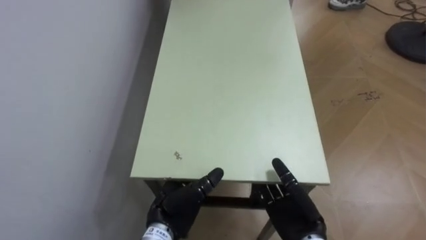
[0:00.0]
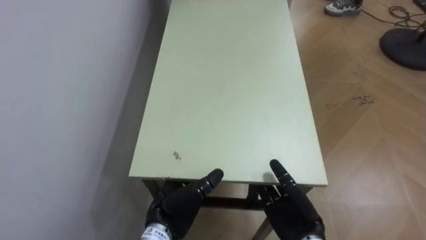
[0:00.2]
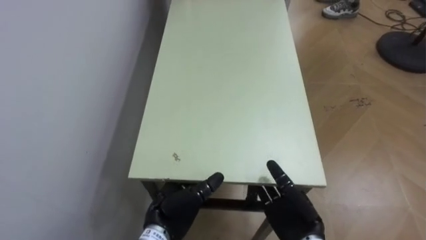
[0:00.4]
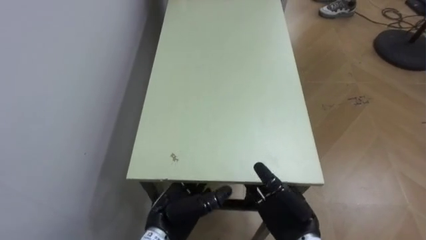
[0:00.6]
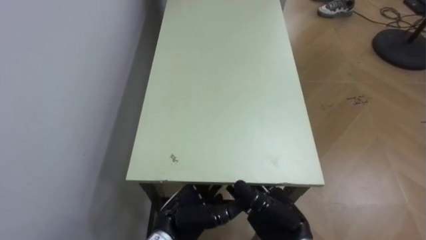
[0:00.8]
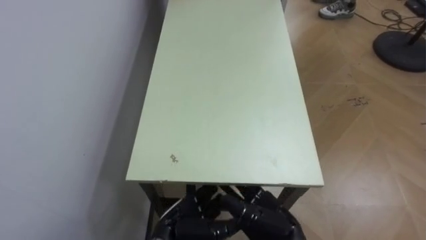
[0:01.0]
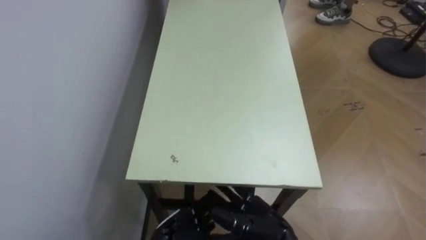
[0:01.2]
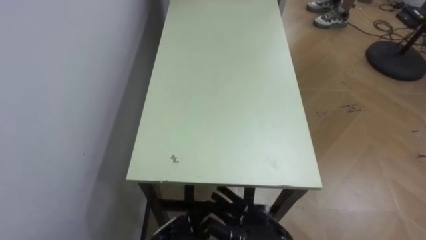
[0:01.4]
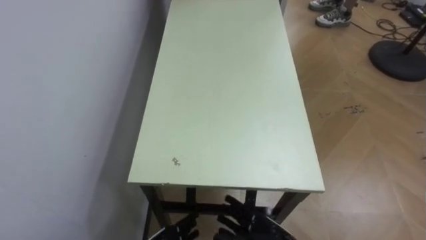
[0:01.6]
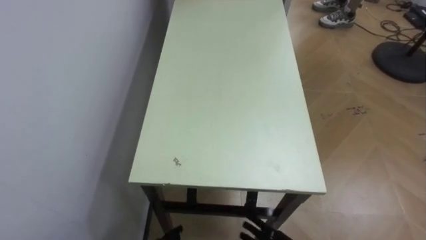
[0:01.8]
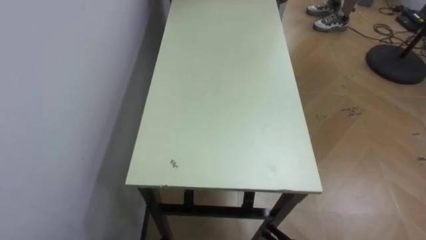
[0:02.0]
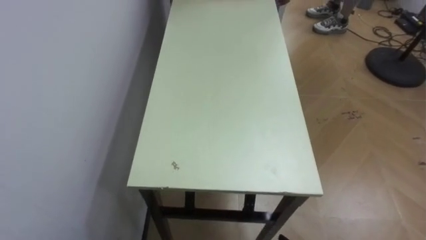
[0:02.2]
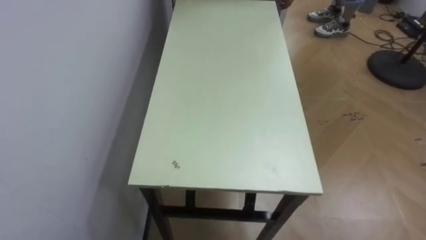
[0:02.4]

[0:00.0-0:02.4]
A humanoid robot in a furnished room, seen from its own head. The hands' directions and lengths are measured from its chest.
Task of the whole recording: Move the table to the back left with someone.
0:00.0 to 0:01.2: The left hand changes place by about 5 cm; the right hand shifts approximately 5 cm to the left.

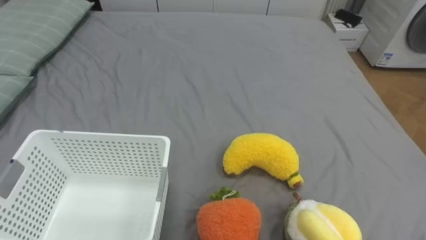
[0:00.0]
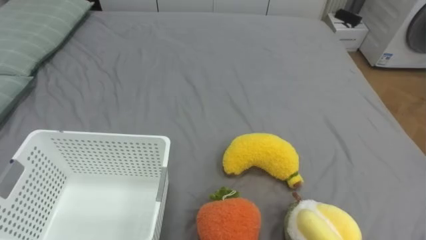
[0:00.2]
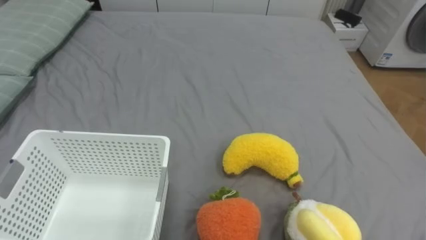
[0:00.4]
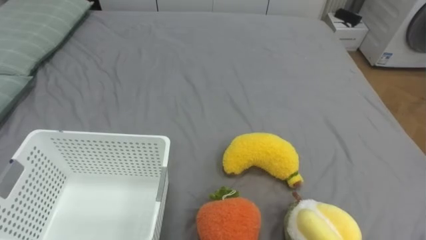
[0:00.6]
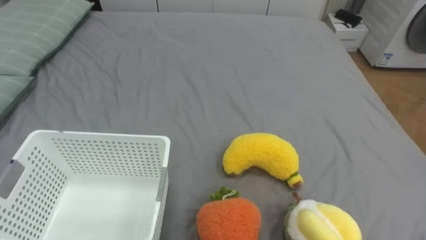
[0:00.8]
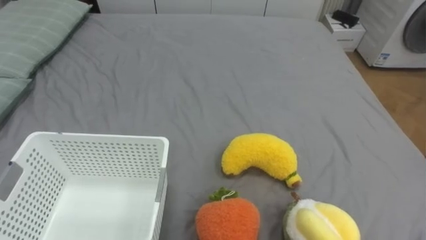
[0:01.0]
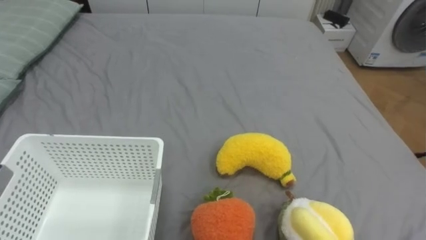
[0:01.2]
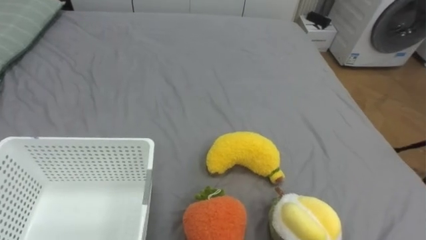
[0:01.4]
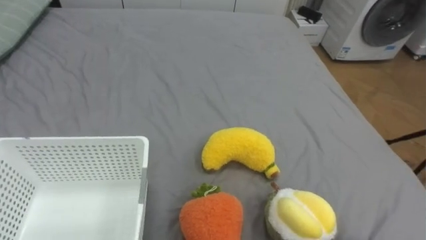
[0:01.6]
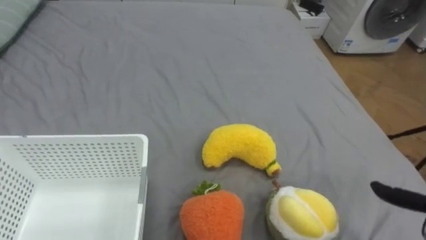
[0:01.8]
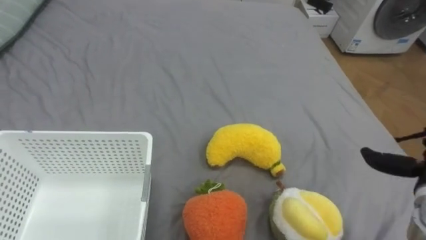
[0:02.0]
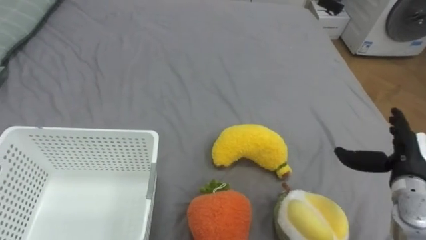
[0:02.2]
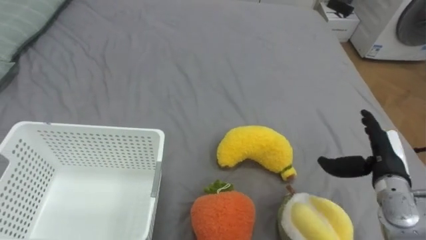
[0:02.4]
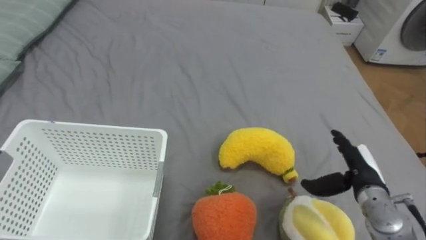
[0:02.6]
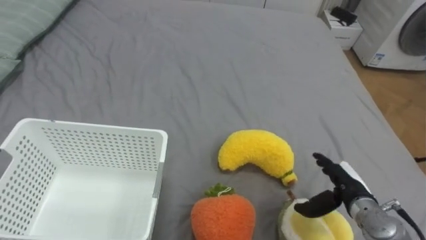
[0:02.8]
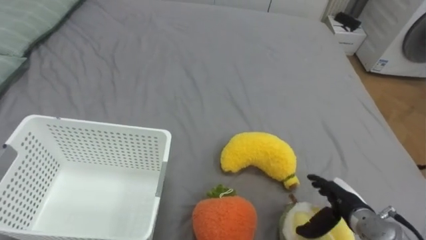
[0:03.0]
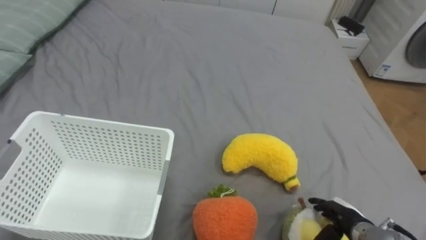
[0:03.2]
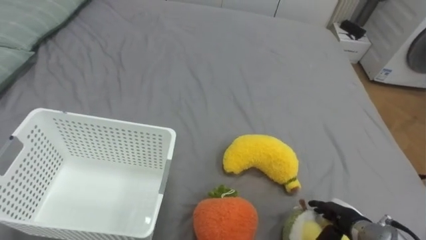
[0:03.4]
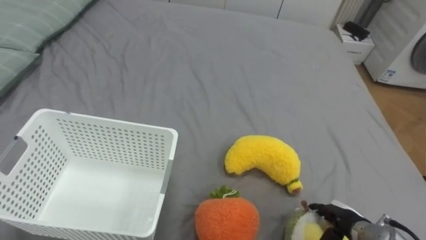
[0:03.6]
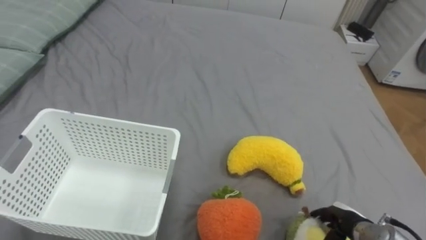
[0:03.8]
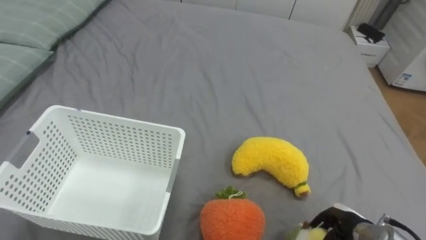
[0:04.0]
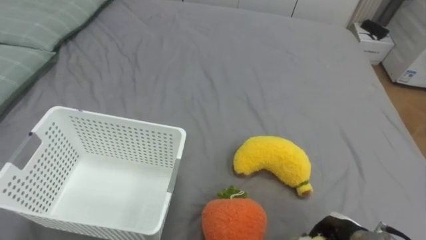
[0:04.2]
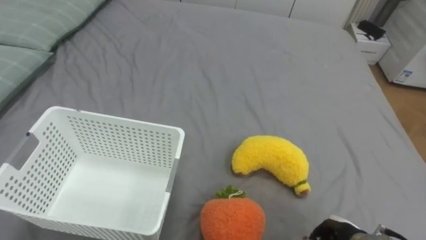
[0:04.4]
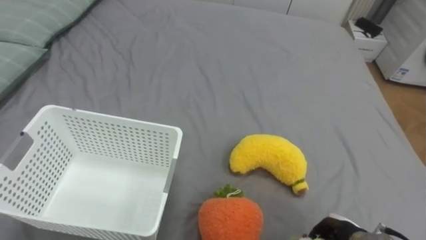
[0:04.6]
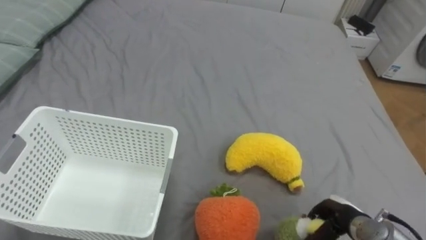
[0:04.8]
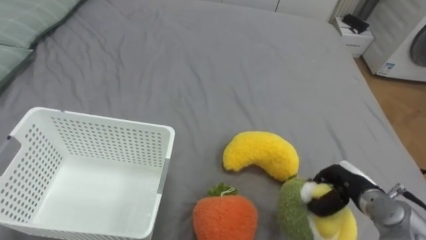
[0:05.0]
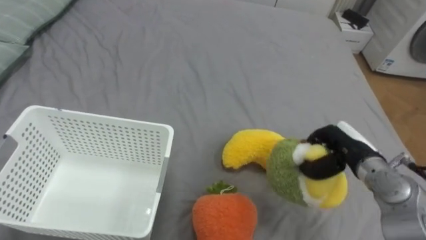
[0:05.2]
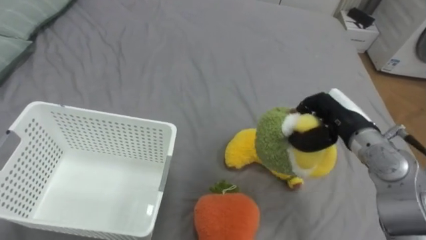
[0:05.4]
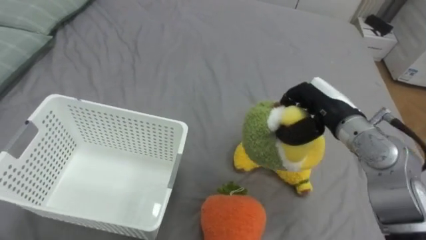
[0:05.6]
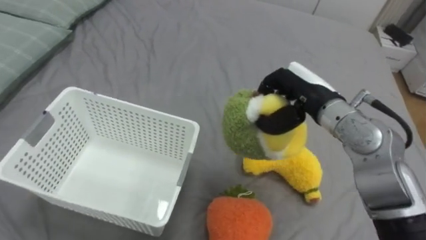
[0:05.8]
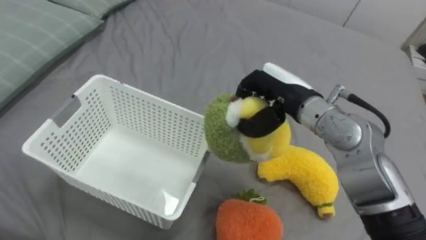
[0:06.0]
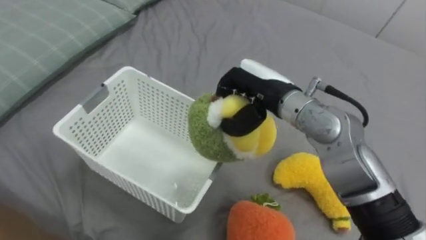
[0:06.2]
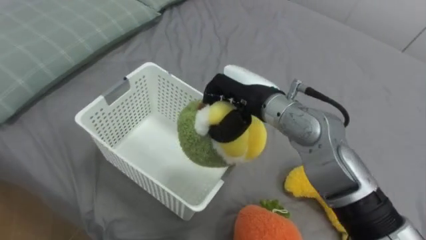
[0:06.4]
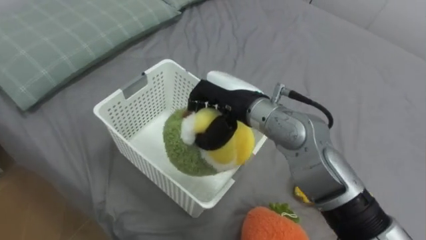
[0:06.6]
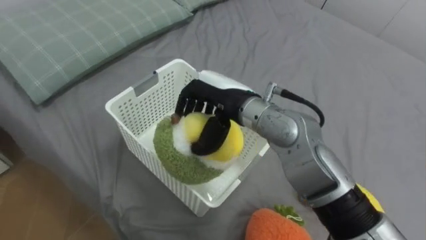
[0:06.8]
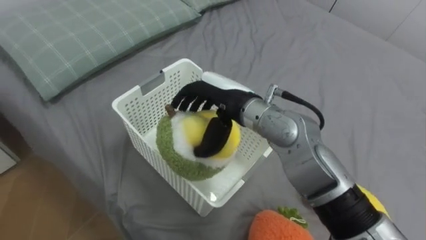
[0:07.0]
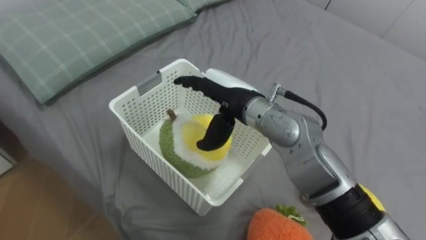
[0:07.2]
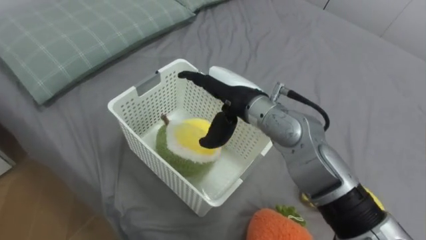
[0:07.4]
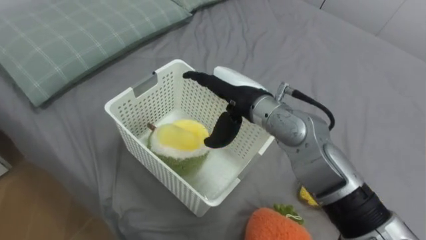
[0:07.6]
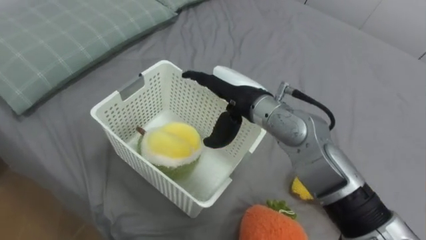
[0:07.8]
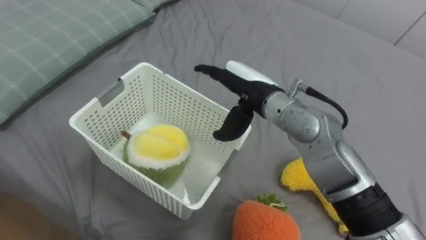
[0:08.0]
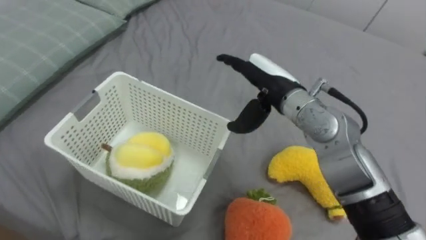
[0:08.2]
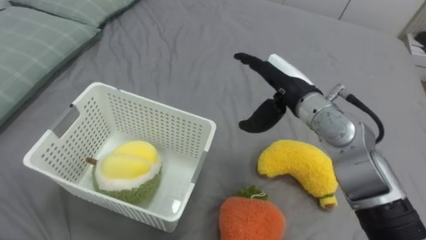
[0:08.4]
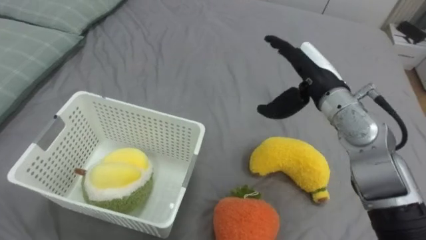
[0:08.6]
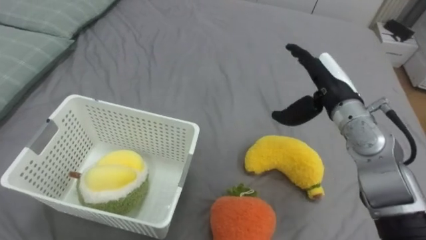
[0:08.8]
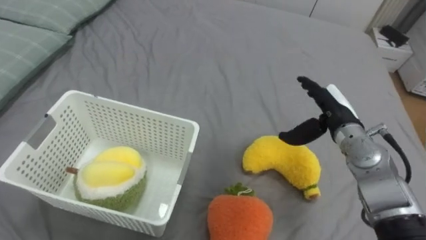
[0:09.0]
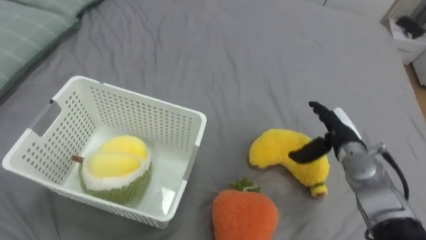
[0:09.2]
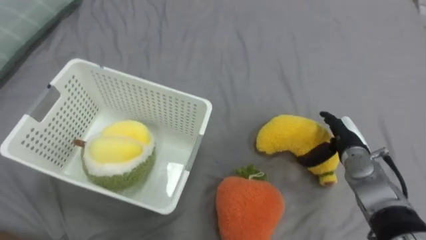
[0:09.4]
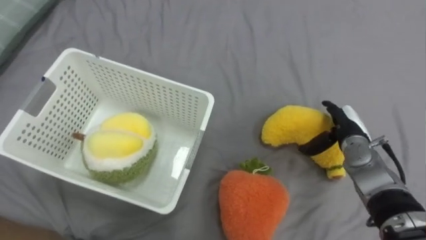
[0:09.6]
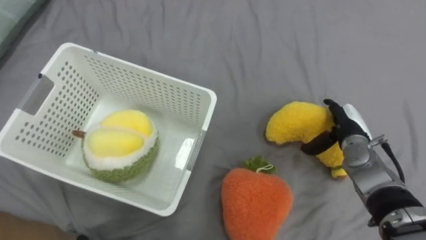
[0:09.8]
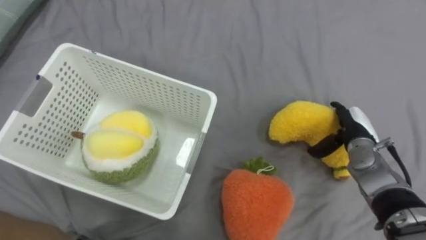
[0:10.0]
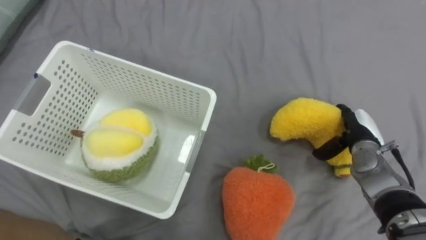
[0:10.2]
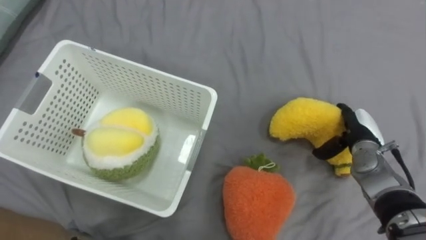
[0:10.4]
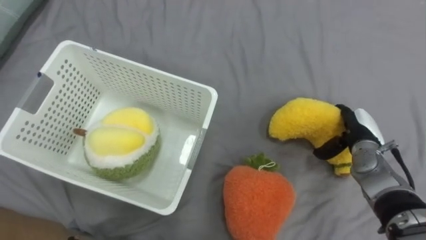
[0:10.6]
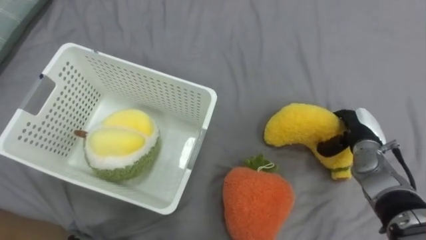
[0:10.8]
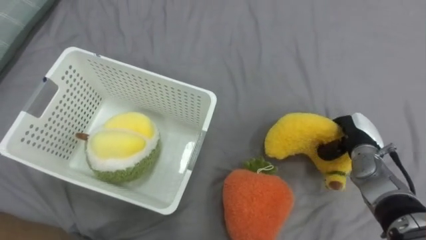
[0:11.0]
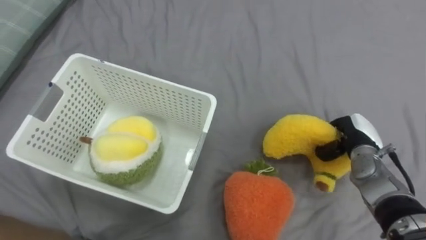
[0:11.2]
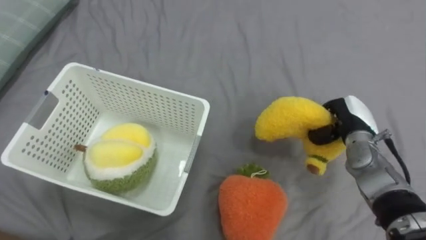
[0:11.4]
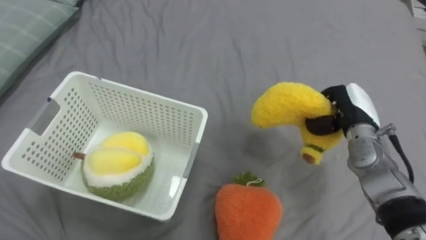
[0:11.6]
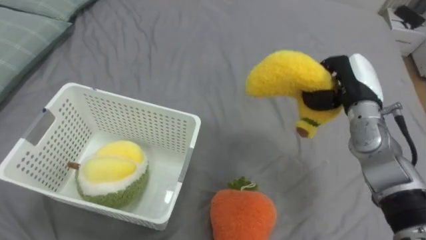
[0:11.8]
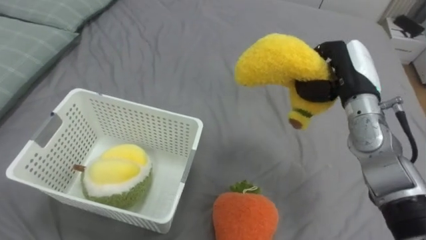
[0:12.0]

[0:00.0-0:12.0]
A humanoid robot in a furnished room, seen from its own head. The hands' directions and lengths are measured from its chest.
Task of the whole recording: Put the toys on the bed into the basket on the left.
0:03.0 to 0:04.4: The right hand travels backward and downward by approximately 10 cm, and closes.
0:04.4 to 0:06.0: The right hand goes roughly 35 cm upward, forward and to the left.
0:06.0 to 0:07.6: The right hand heads to the left, covering about 10 cm, and opens up.
0:07.6 to 0:09.0: The right hand shifts approximately 20 cm to the right.
0:09.0 to 0:10.4: The right hand moves downward and to the right, some 10 cm.
0:10.4 to 0:12.0: The right hand travels upward and to the left by about 15 cm, and closes.

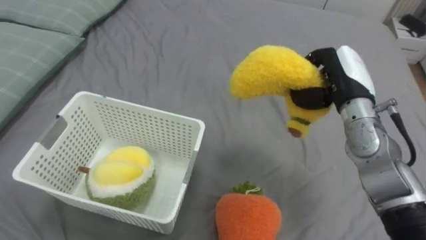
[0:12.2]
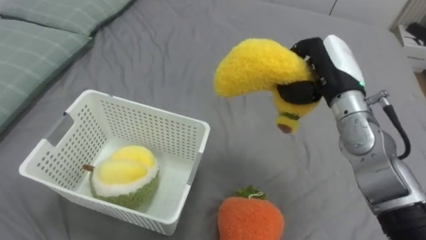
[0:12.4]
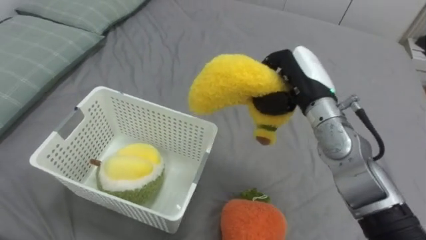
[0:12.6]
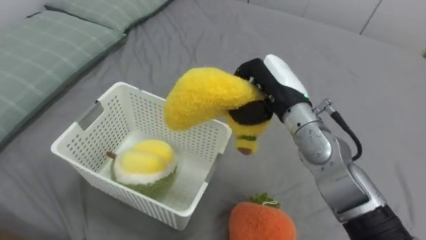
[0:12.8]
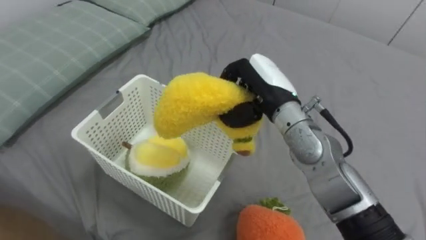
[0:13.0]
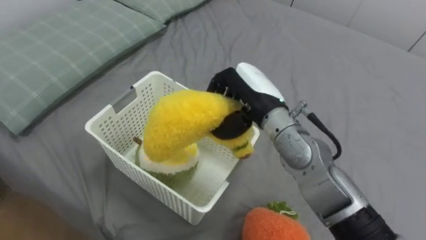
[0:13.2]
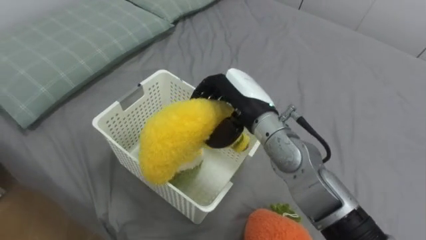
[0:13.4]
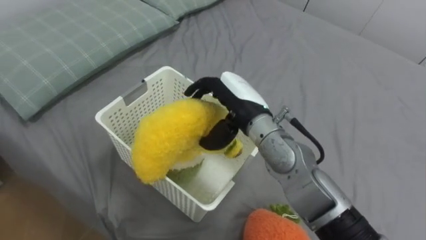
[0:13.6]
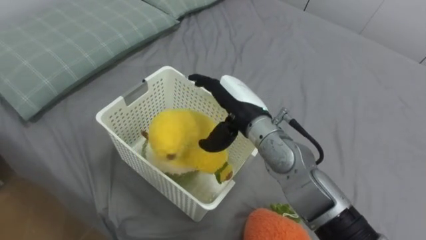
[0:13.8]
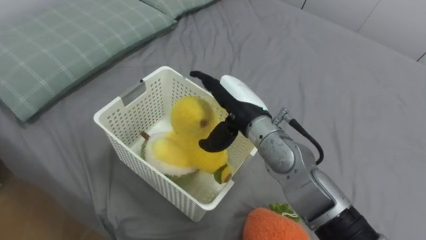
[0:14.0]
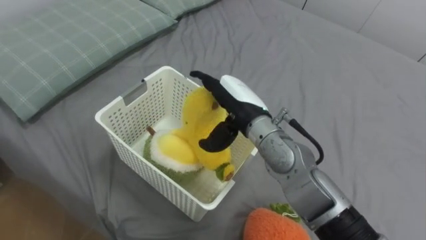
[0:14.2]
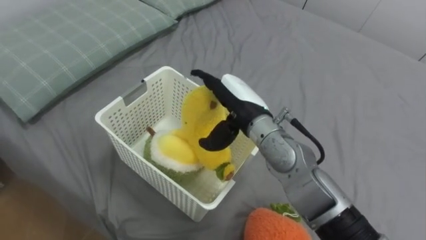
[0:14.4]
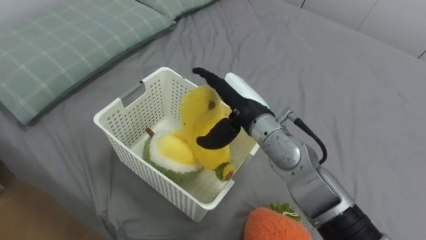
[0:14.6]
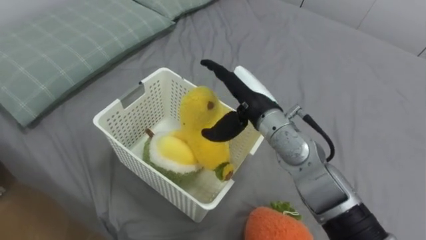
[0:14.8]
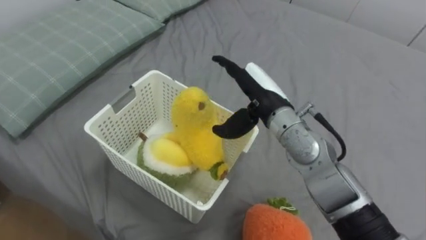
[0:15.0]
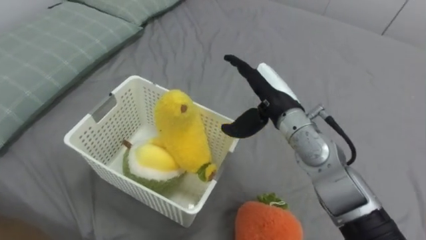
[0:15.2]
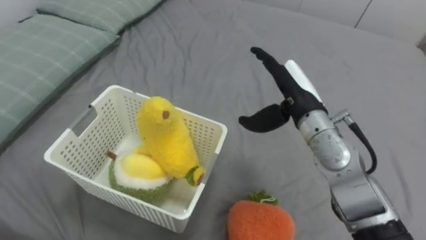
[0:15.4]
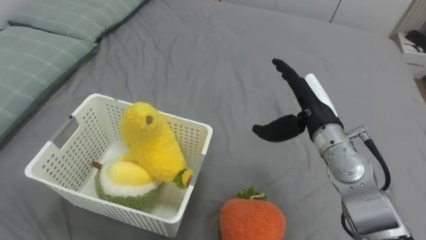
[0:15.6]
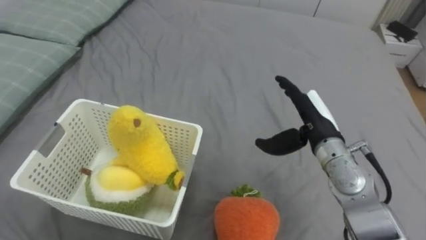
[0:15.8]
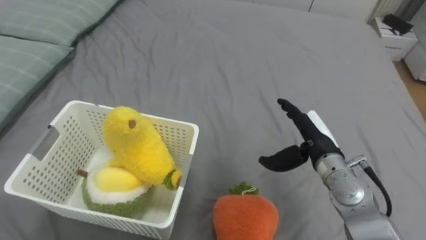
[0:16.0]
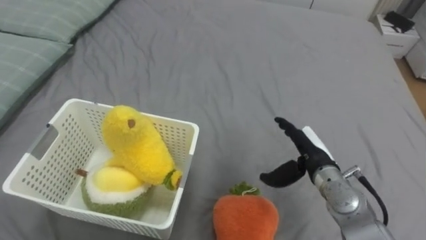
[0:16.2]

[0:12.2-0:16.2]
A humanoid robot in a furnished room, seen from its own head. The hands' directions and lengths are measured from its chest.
Task of the whole recording: Put the toys on the bed into the basket on the left.
0:12.2 to 0:13.6: The right hand goes about 20 cm to the left, and opens.
0:14.8 to 0:16.2: The right hand heads to the right and downward, covering some 20 cm.
